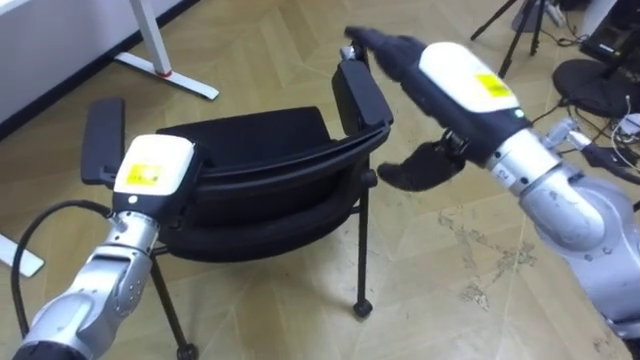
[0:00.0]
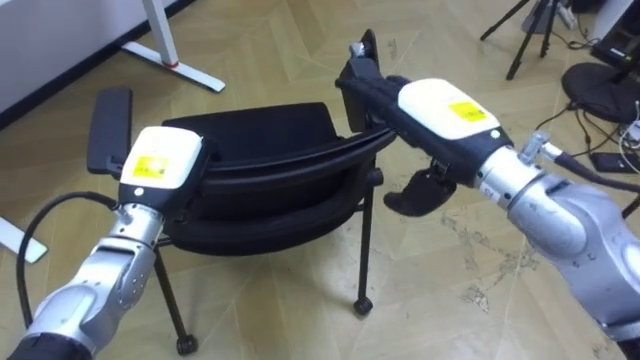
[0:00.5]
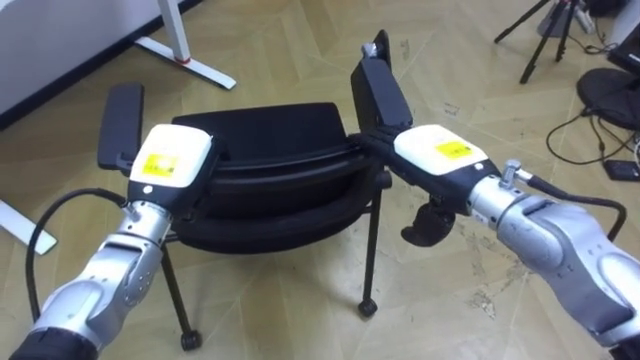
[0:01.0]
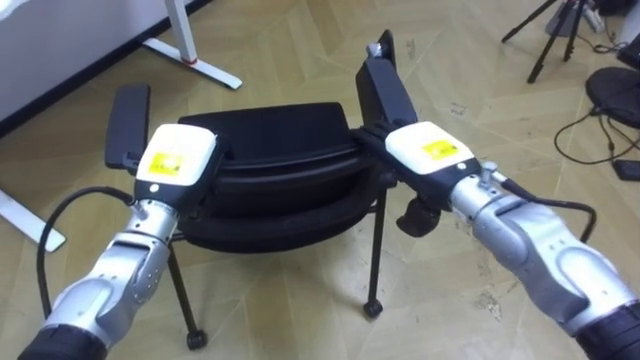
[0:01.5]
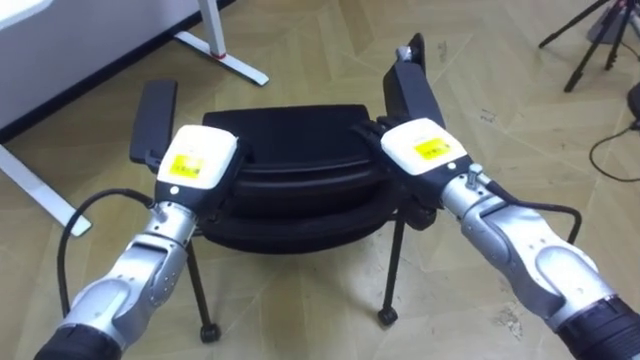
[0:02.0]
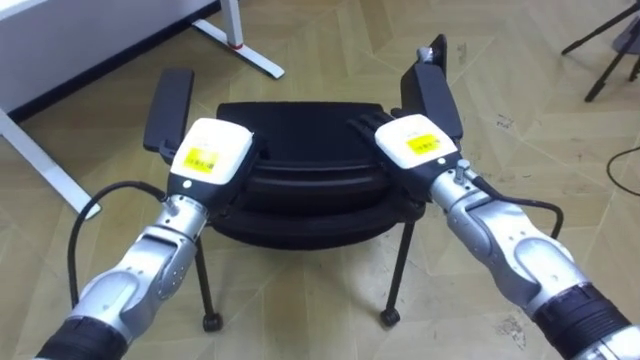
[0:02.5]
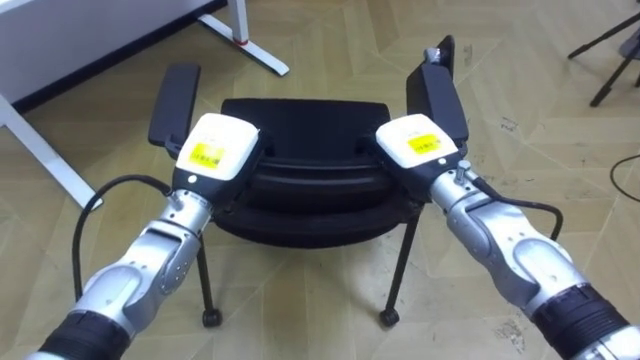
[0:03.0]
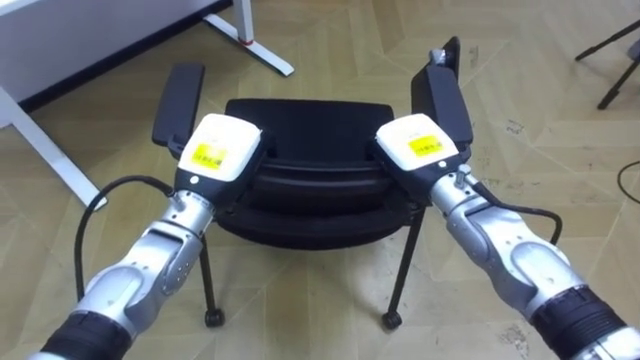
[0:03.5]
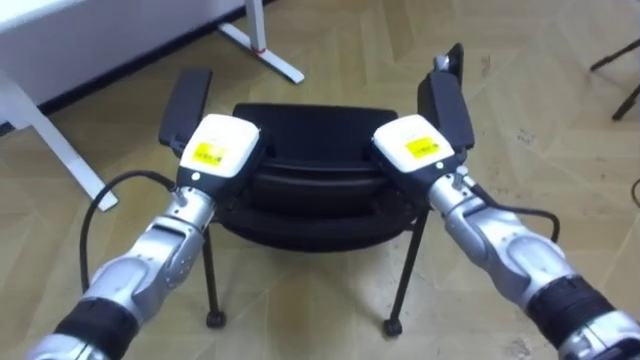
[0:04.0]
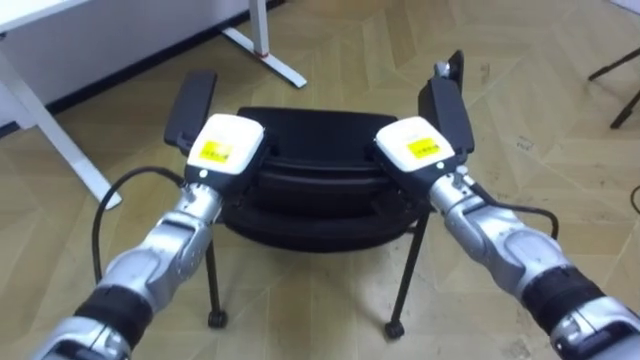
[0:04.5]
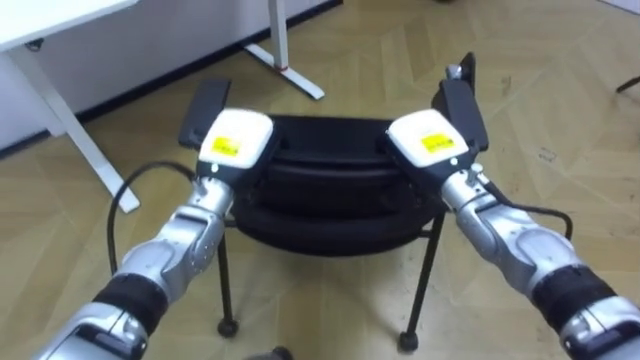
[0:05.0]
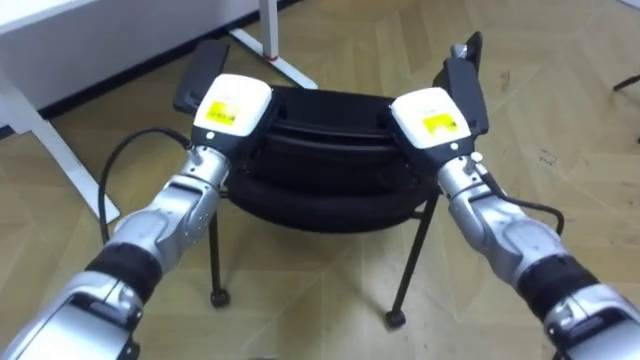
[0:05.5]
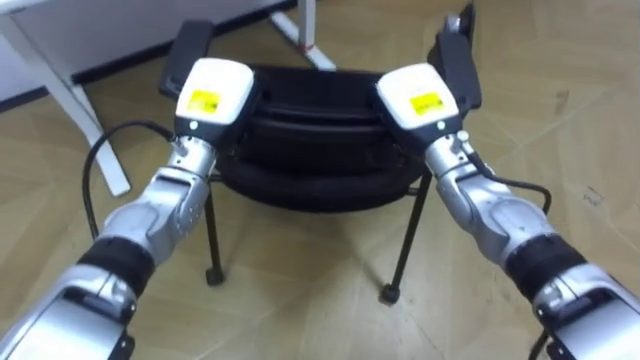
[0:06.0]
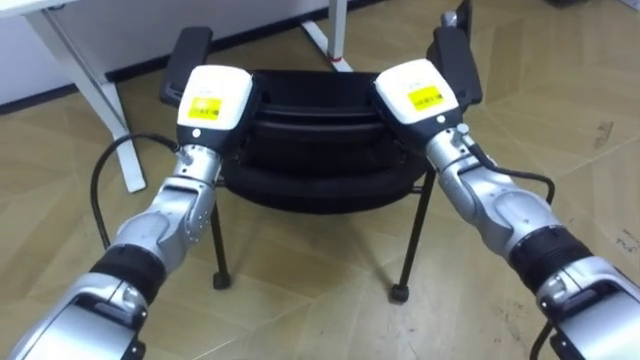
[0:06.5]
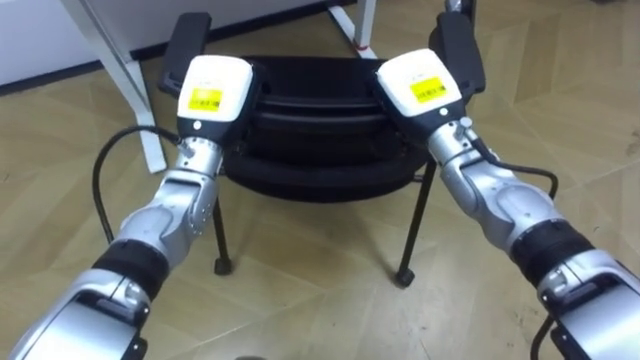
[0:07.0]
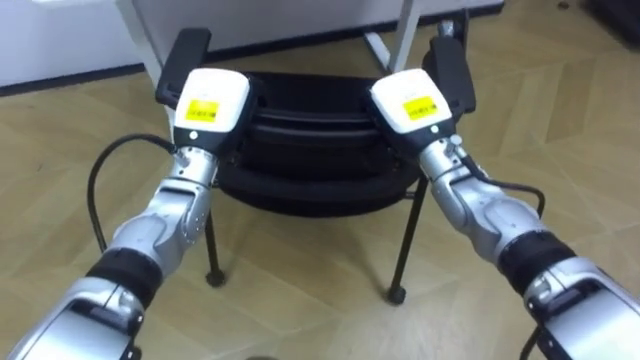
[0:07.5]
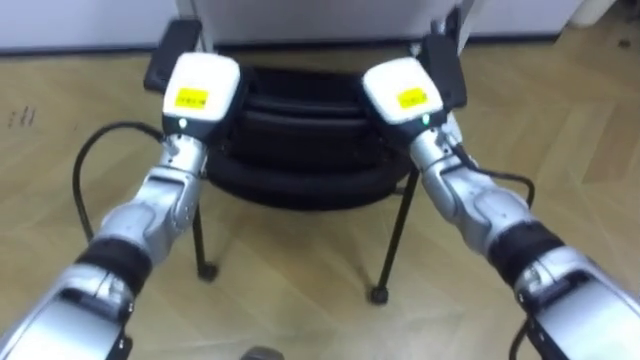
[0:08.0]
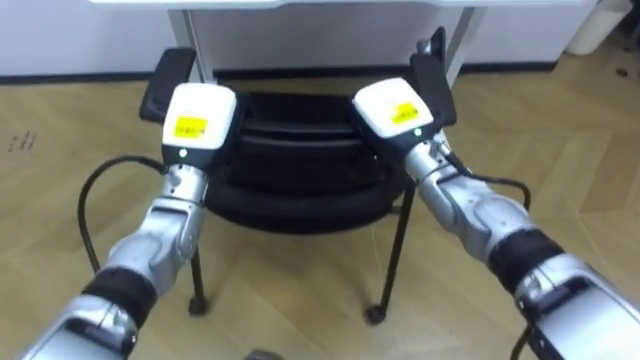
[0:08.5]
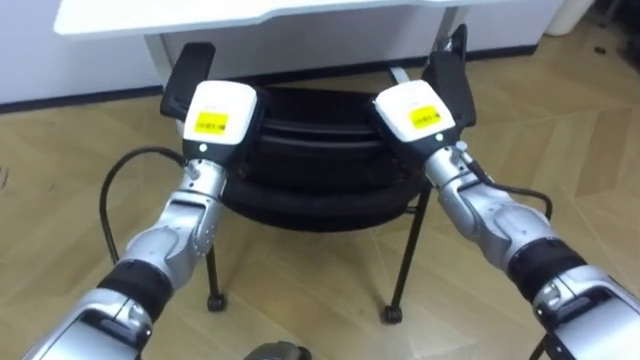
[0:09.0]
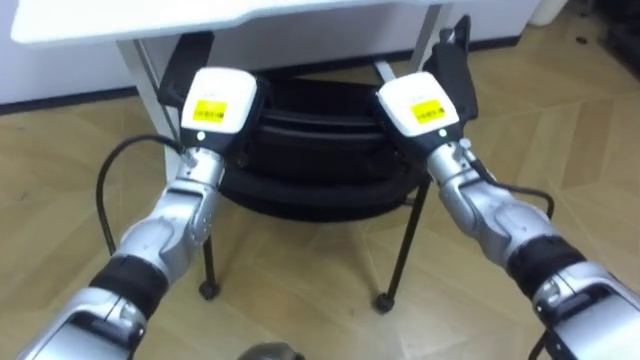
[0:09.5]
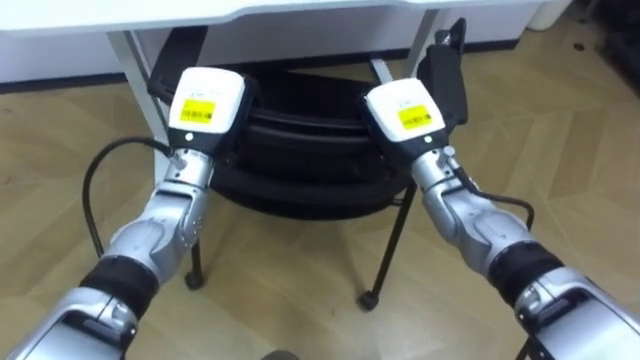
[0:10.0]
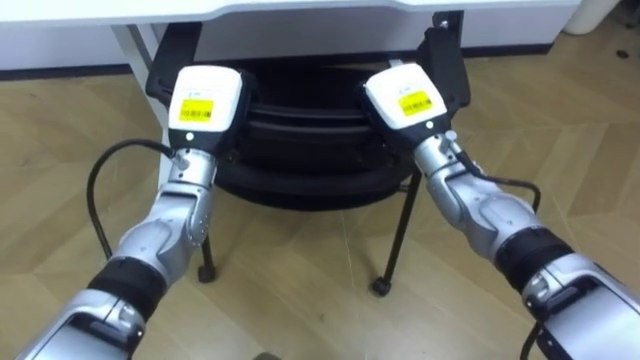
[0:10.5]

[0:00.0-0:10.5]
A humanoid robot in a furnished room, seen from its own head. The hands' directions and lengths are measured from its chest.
Task of the whole recording: Push the chair under the table.
0:00.0 to 0:02.0: The right hand goes roughly 10 cm downward, while the left hand moves to the right, about 5 cm.
0:02.0 to 0:04.0: The right hand closes up.
0:04.0 to 0:06.5: The robot's body swings about 15 degrees to its left. The right hand changes place by approximately 5 cm. Meanwhile the left hand ends up approximately 5 cm from where it was.

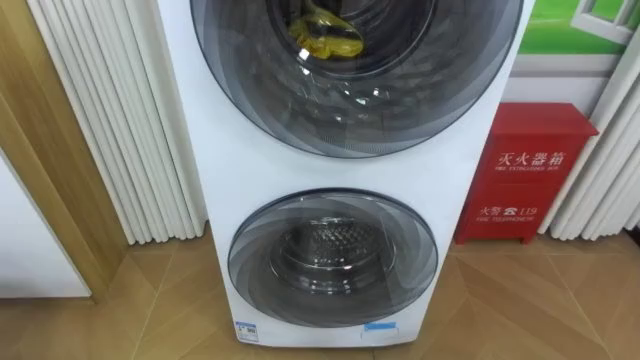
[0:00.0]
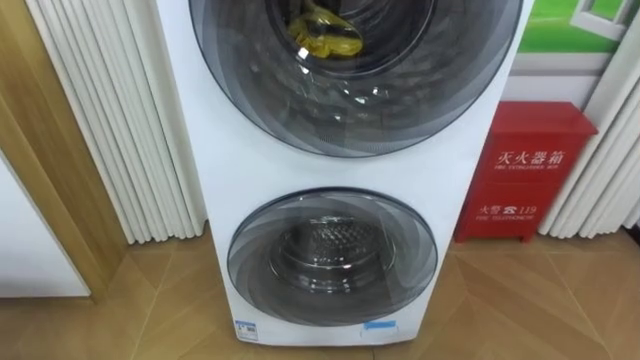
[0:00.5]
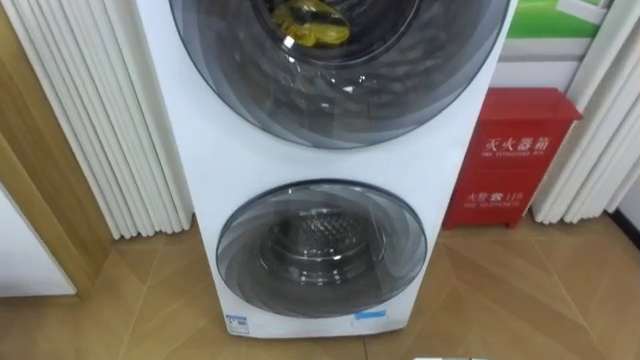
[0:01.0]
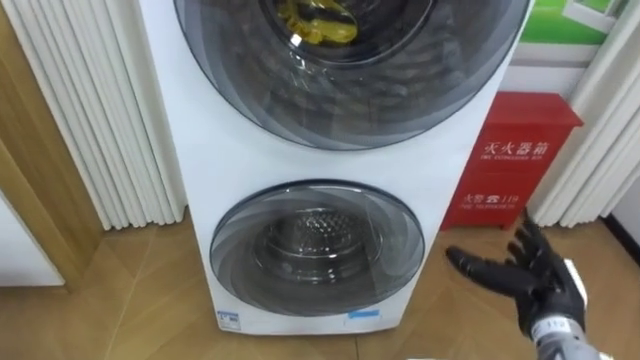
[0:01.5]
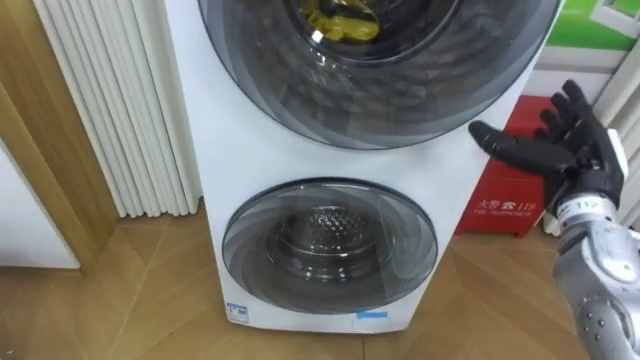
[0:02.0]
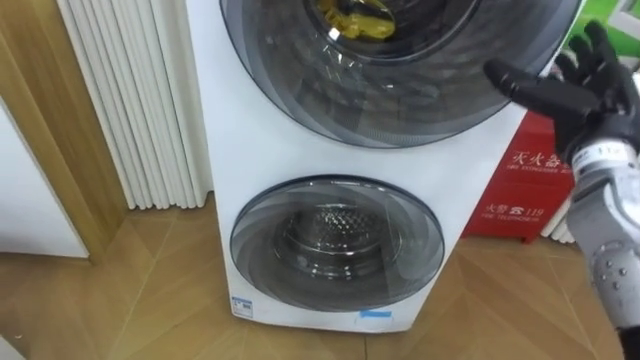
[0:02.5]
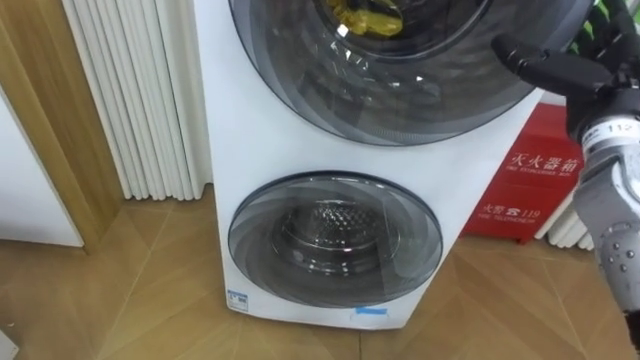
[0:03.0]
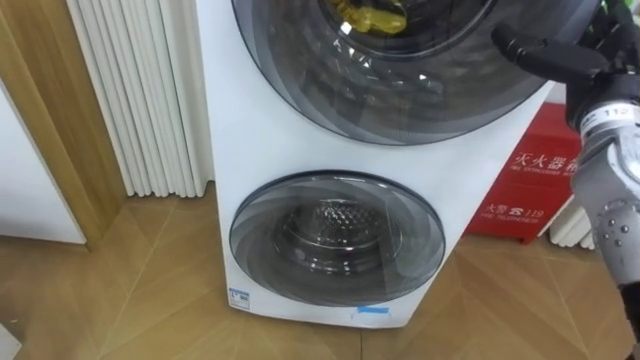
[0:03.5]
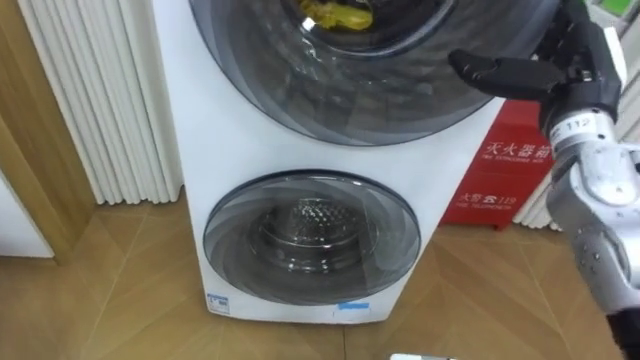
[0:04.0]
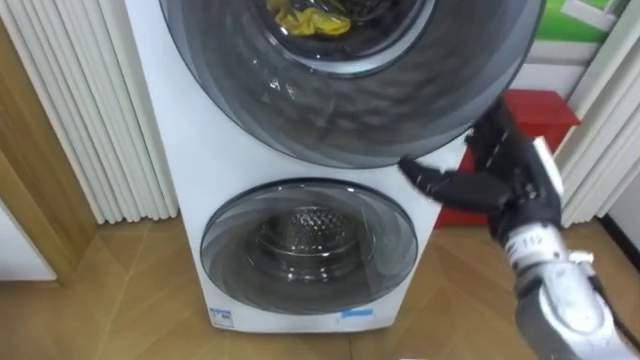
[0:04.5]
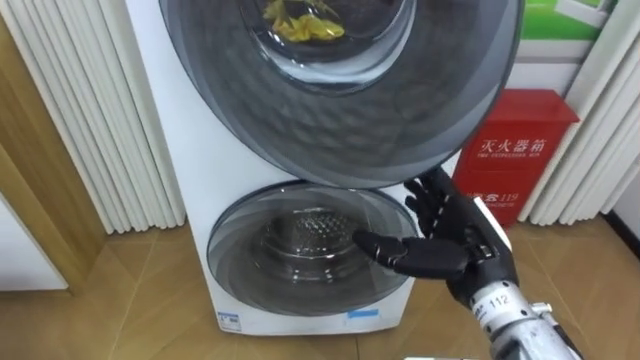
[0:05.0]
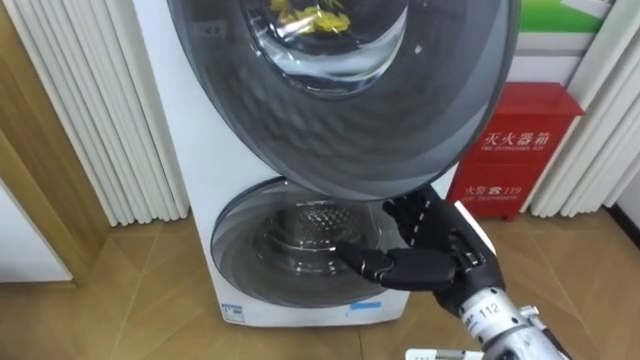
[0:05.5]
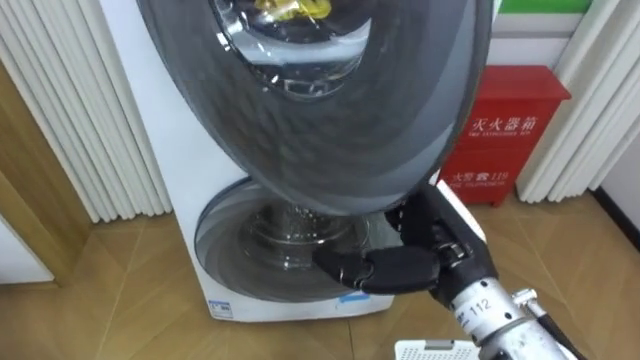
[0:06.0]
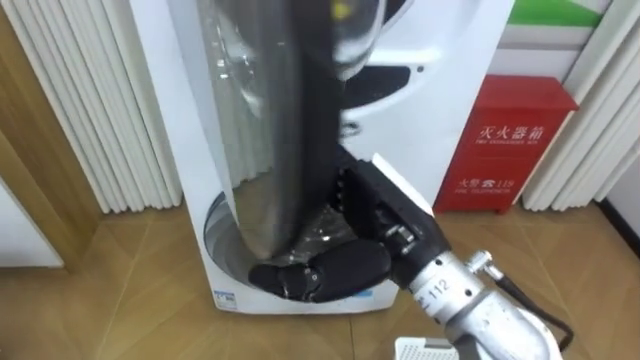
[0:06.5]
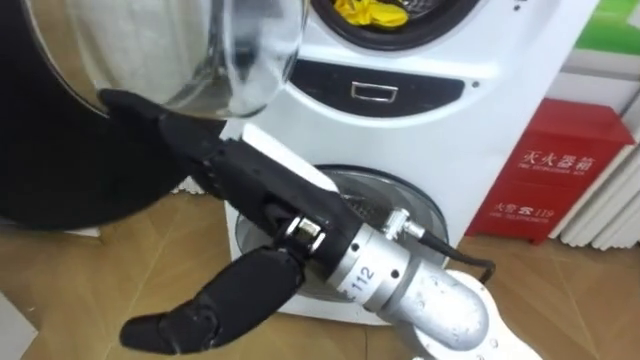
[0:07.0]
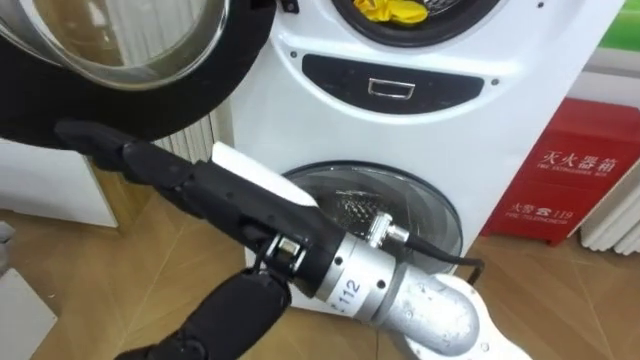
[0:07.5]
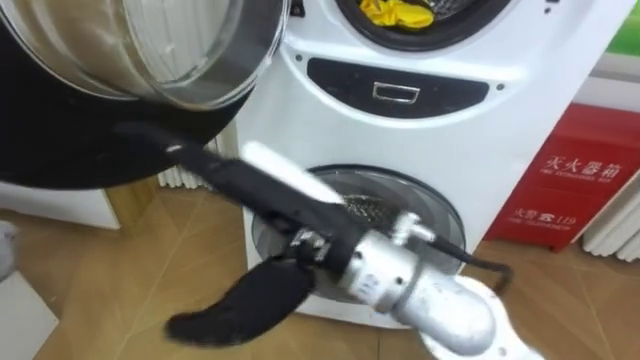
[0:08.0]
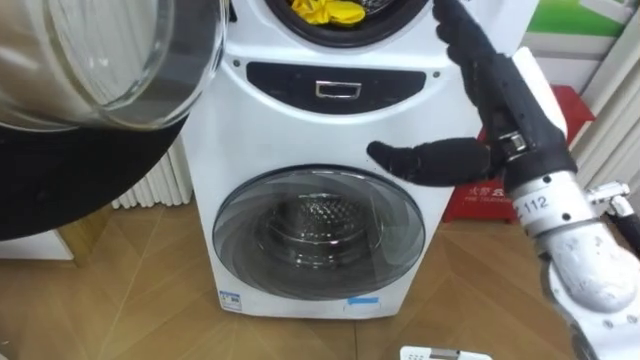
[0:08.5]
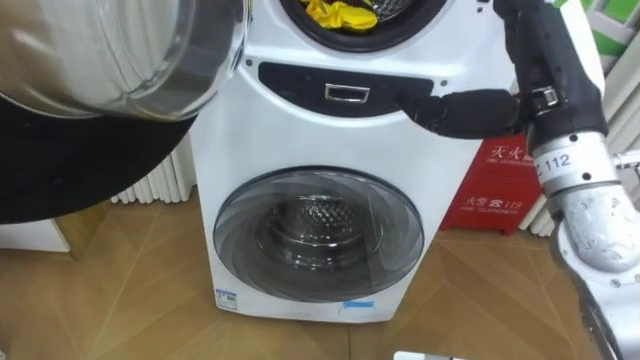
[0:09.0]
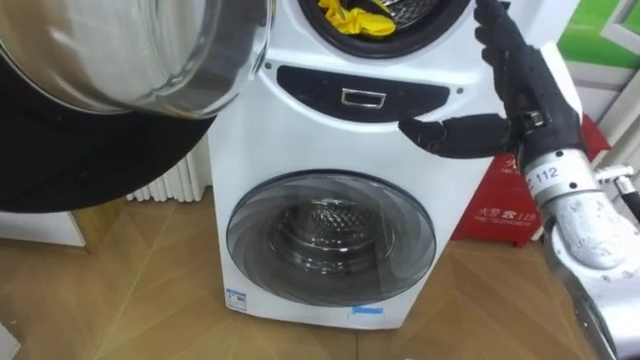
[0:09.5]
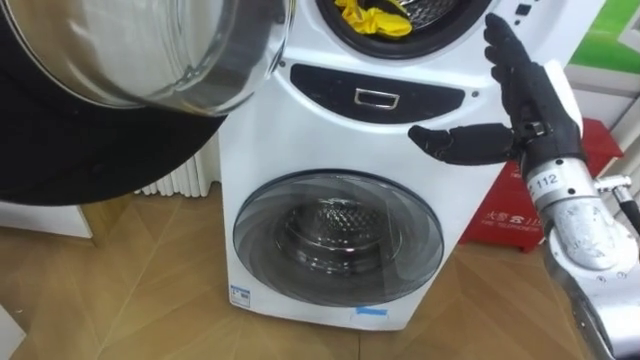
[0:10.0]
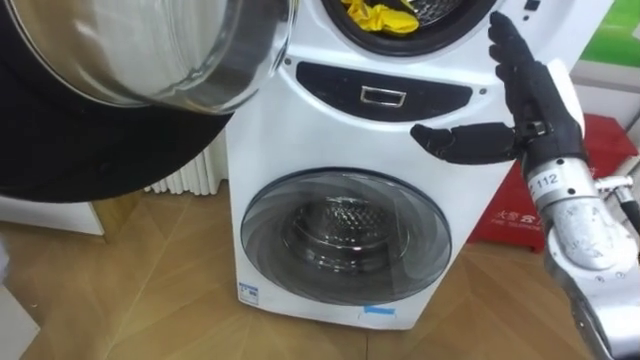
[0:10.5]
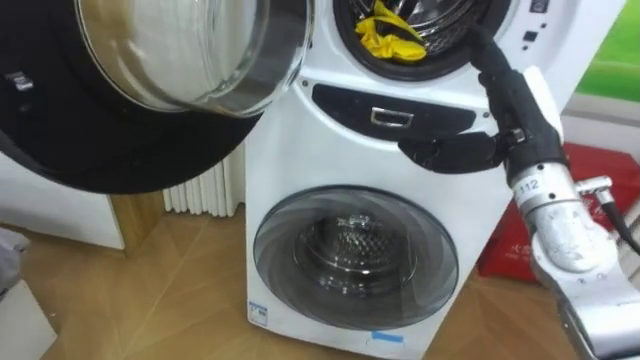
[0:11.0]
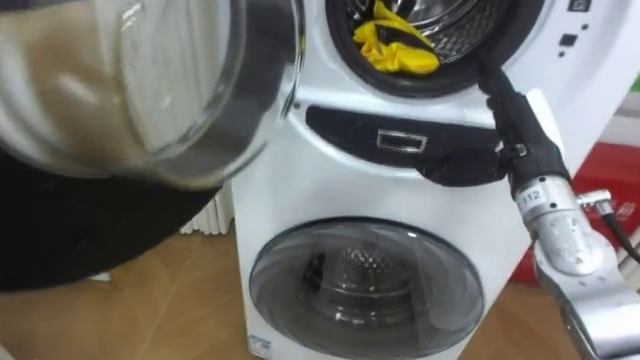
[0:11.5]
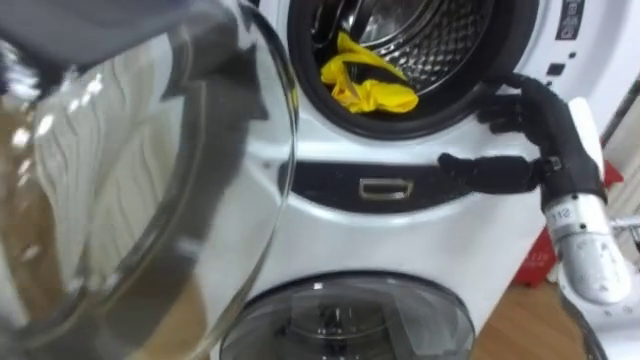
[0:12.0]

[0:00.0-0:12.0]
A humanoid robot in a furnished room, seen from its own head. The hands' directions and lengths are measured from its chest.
Task of the whole recording: Open the washing machine door, take out the yellow clothes, place them in the box on the right, and close the washing machine door.
0:02.0 to 0:04.0: The right hand is displaced upward by roughly 10 cm.
0:04.0 to 0:06.0: The right hand travels to the left, backward and downward by some 20 cm.
0:06.0 to 0:08.0: The right hand shifts approximately 15 cm to the left and upward.
0:08.0 to 0:10.0: The right hand is displaced to the right and forward by some 25 cm.
0:10.0 to 0:12.0: The right hand shifts by some 5 cm.
